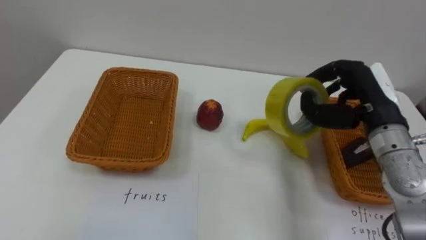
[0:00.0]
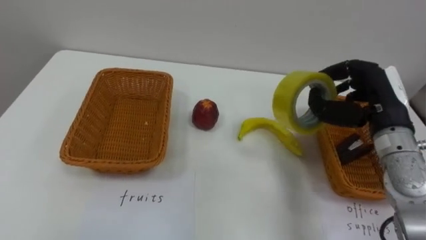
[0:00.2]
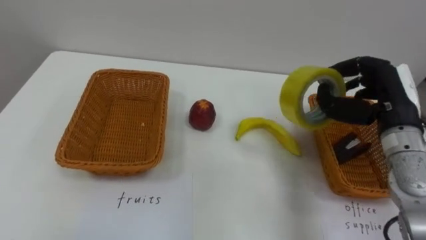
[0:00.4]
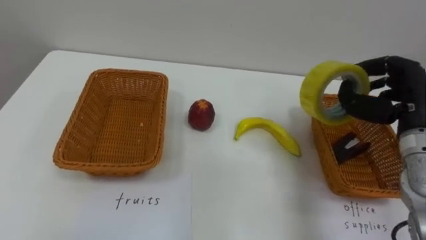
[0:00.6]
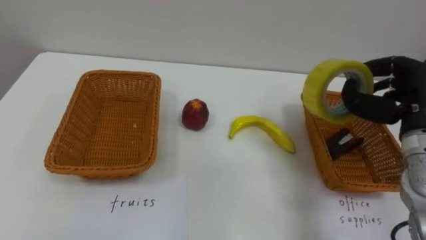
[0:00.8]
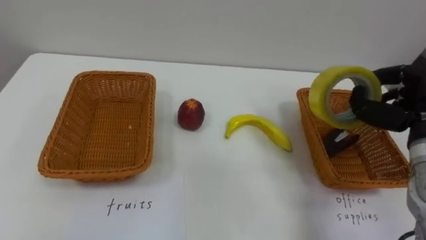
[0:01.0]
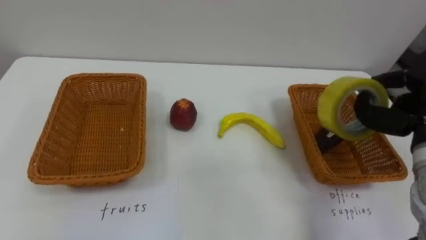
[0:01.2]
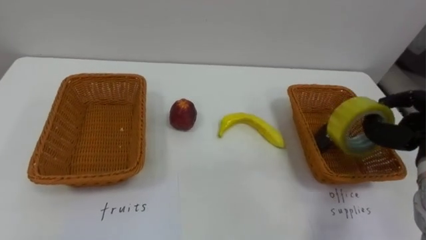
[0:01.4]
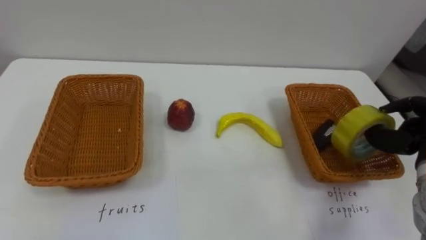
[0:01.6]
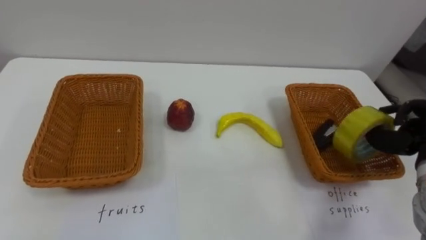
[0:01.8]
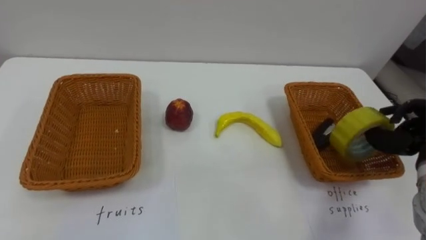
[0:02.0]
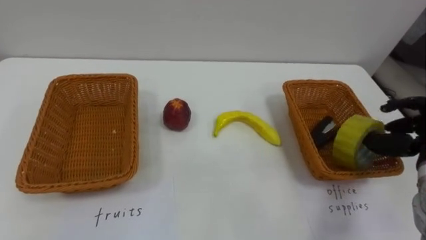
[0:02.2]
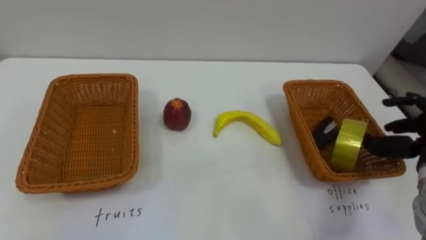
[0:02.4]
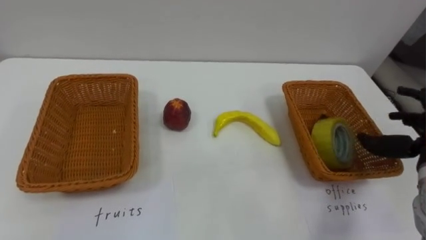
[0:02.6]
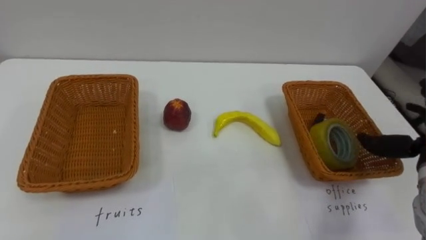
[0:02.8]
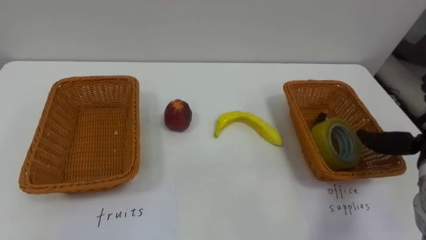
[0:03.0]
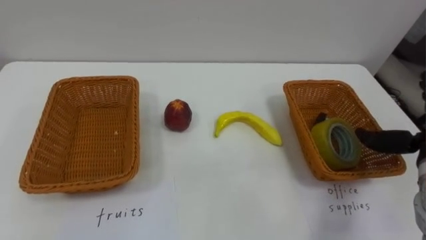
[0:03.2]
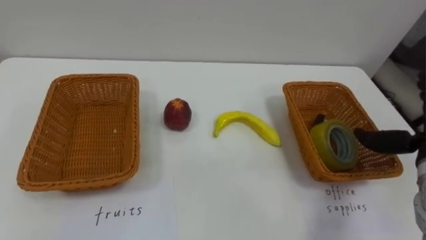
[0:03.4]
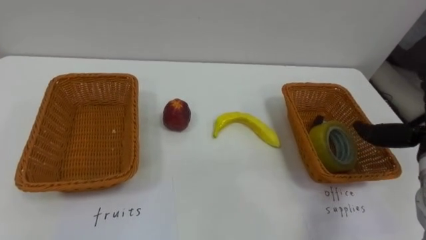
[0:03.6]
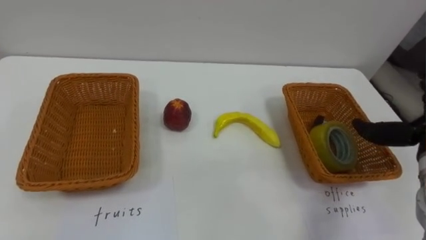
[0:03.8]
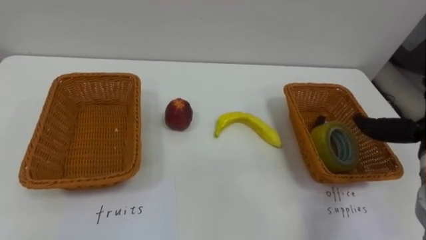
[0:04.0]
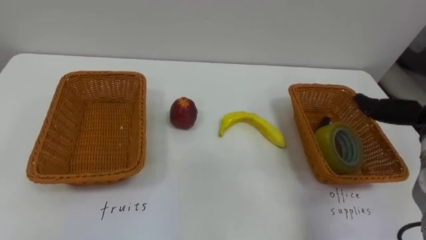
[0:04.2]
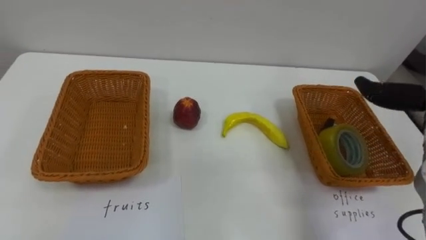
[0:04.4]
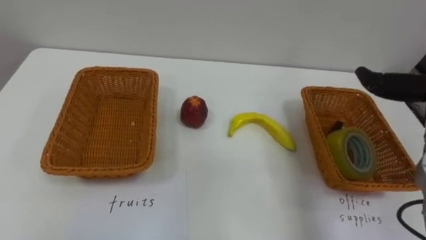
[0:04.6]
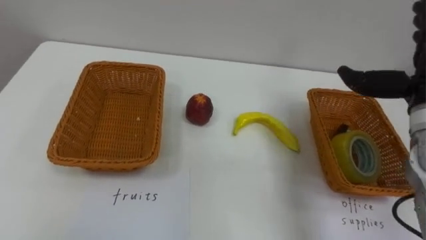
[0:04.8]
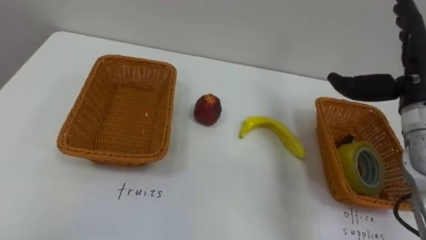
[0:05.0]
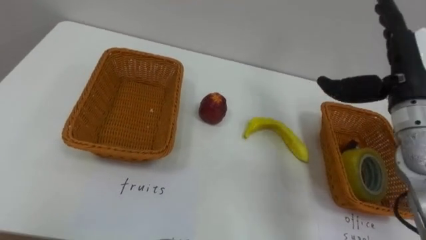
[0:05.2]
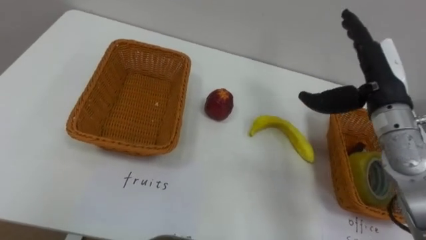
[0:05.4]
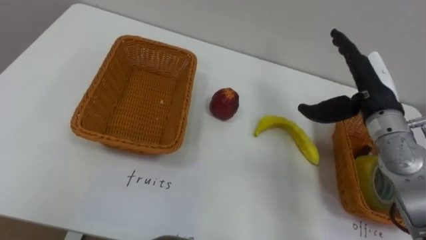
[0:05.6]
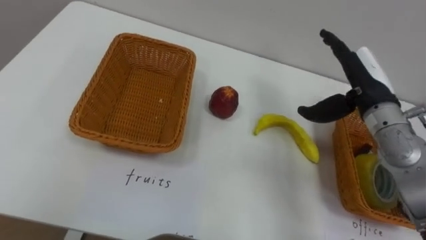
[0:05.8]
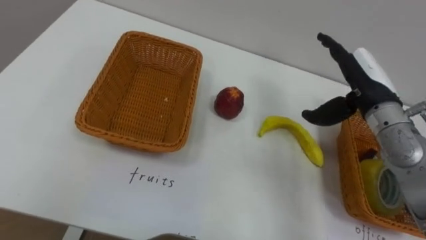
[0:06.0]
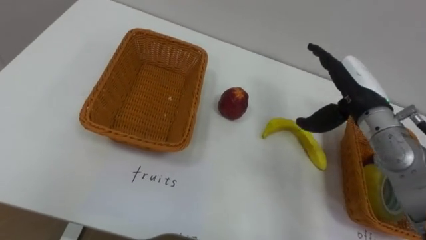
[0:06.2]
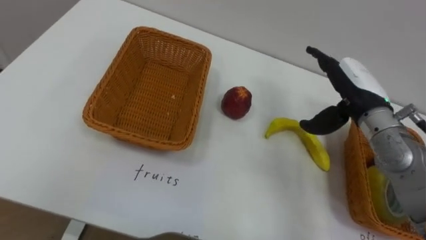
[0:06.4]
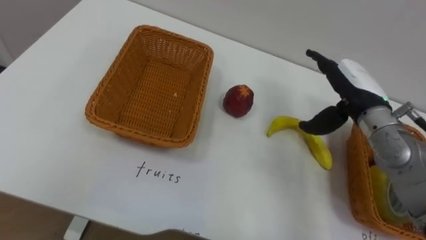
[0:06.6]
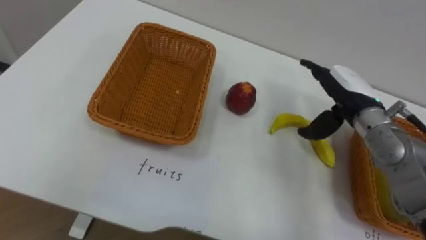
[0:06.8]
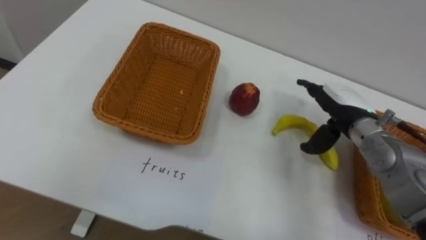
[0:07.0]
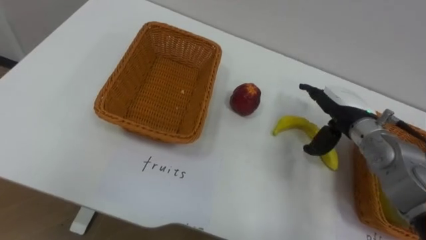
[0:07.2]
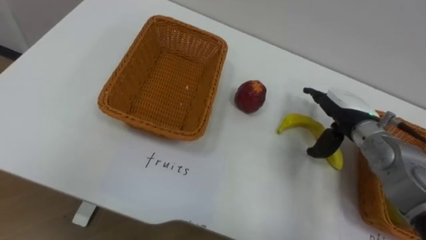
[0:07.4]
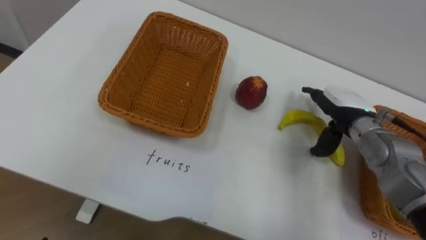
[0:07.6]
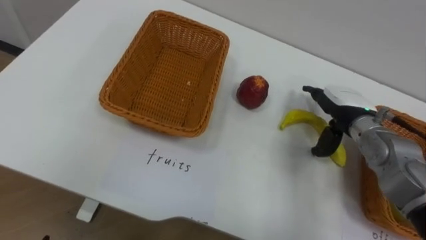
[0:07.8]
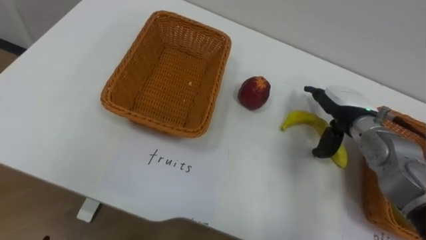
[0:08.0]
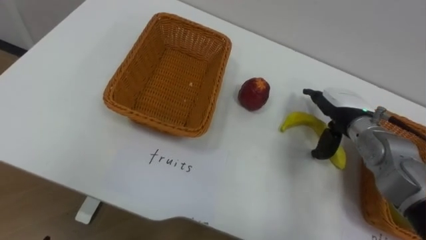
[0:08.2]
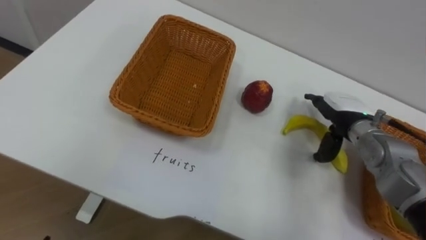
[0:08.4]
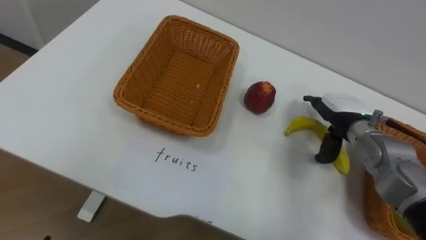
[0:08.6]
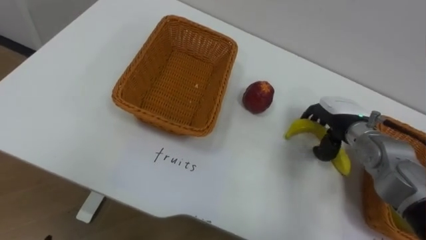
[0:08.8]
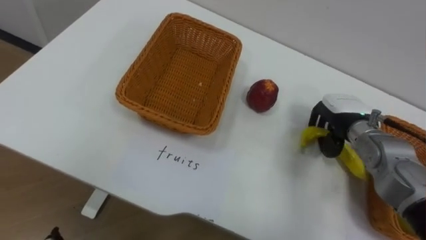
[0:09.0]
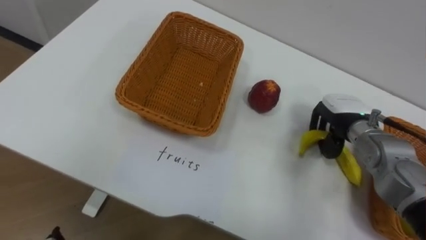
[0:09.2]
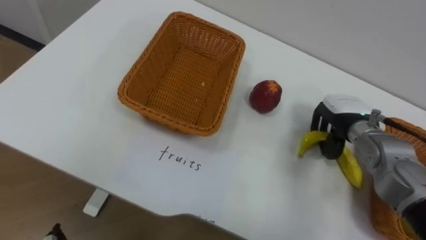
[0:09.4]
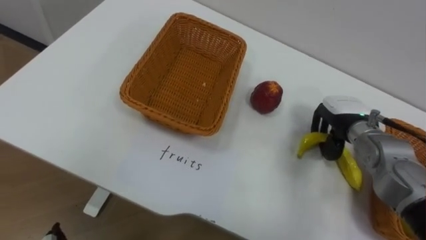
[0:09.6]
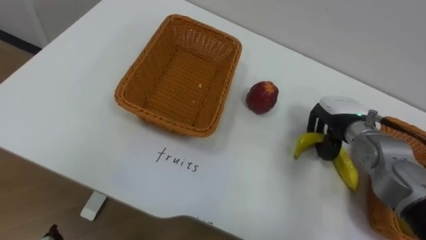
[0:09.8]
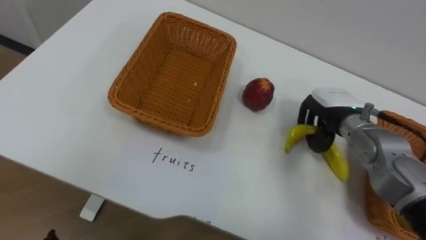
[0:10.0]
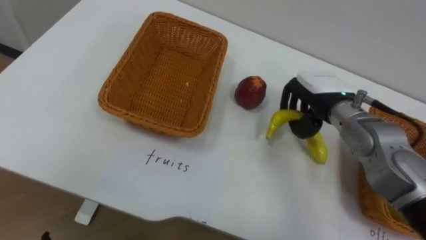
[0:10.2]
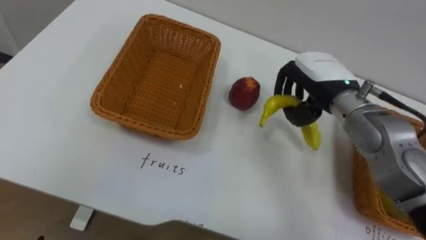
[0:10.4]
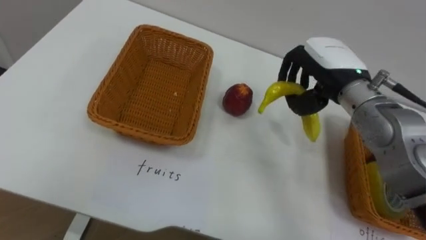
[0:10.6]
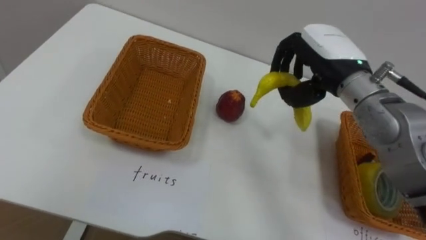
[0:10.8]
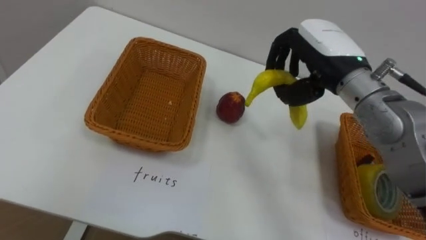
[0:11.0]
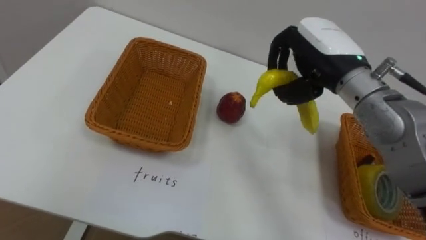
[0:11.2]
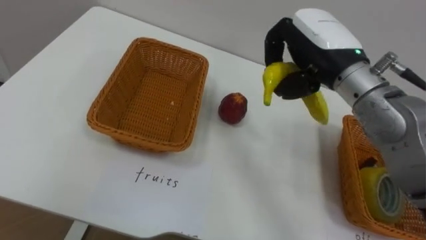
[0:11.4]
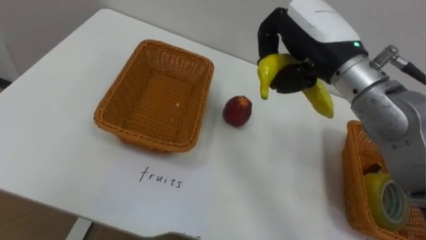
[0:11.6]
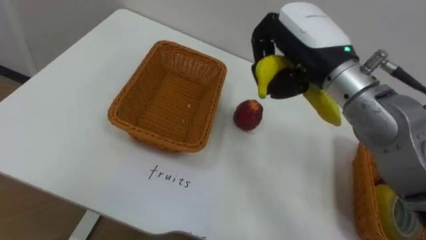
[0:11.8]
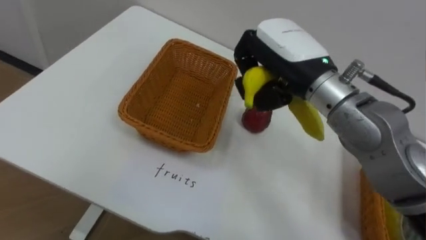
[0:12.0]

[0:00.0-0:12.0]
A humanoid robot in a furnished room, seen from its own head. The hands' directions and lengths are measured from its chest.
Task of the whole recording: Separate the items on the table and place them into the two baskets.
0:06.0 to 0:07.6: The right hand moves downward, about 10 cm.
0:07.6 to 0:09.0: The right hand closes up.
0:09.0 to 0:10.4: The right hand heads upward and to the left, covering roughly 10 cm.
0:10.4 to 0:12.0: The right hand moves upward and to the left, approximately 10 cm.

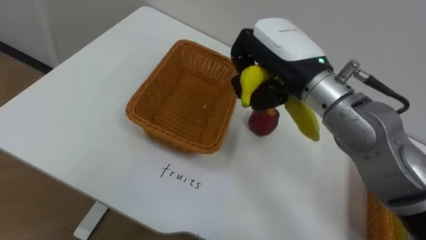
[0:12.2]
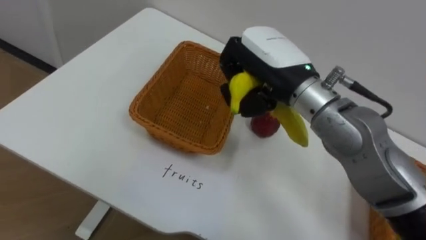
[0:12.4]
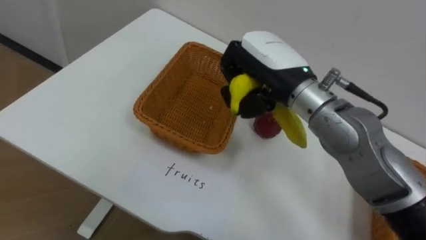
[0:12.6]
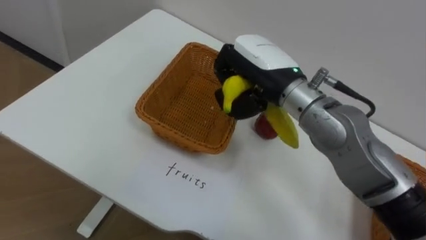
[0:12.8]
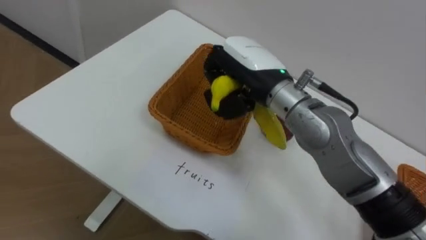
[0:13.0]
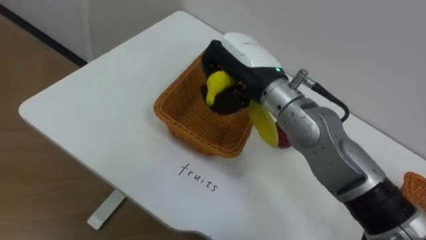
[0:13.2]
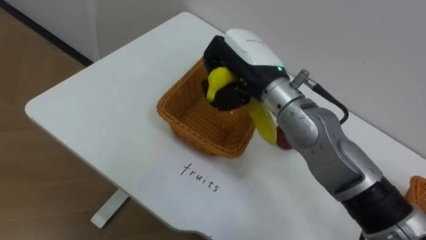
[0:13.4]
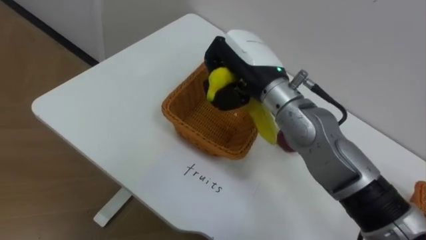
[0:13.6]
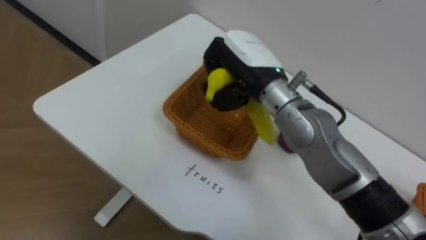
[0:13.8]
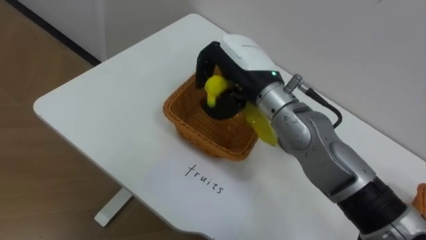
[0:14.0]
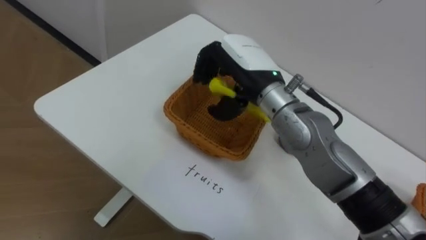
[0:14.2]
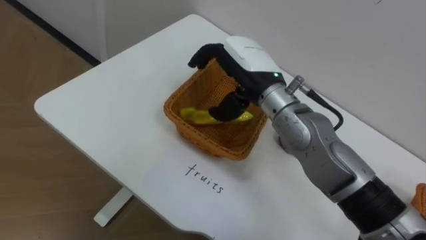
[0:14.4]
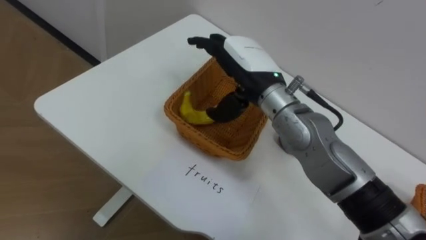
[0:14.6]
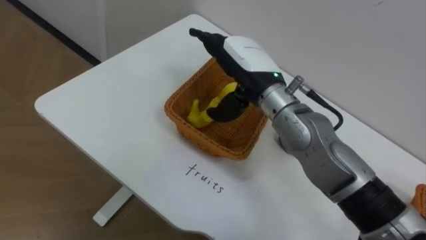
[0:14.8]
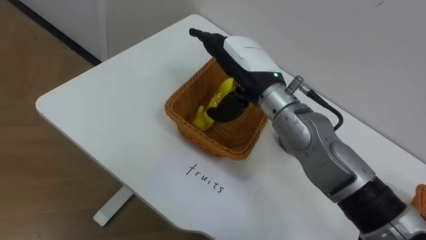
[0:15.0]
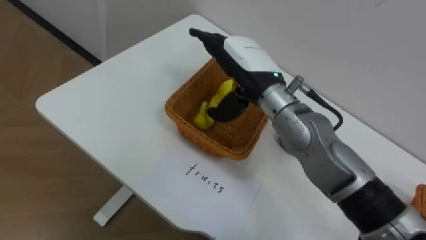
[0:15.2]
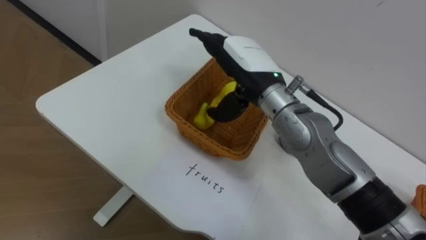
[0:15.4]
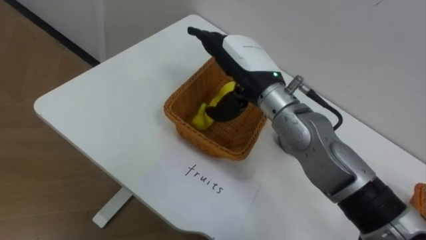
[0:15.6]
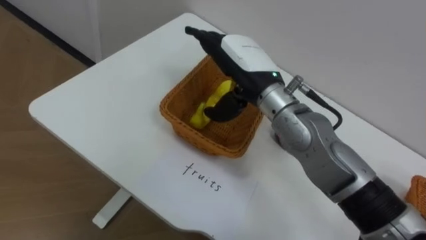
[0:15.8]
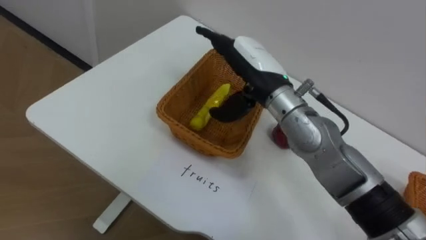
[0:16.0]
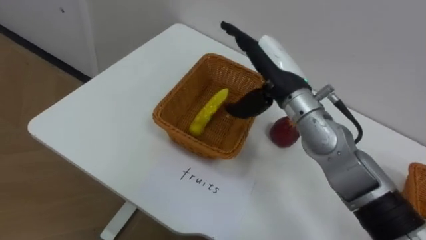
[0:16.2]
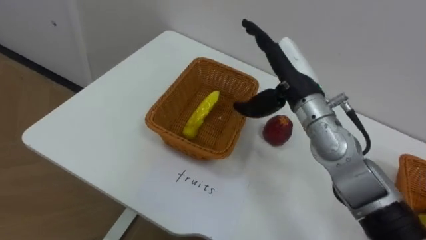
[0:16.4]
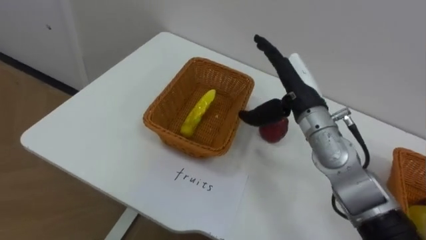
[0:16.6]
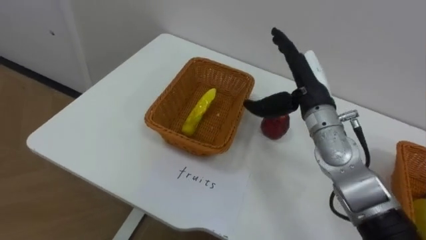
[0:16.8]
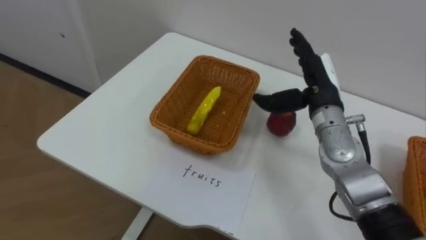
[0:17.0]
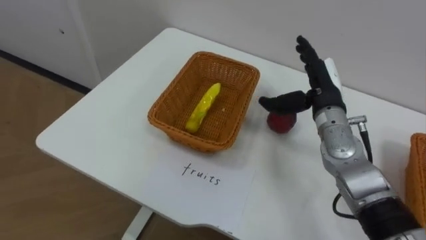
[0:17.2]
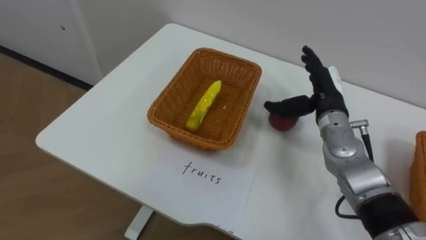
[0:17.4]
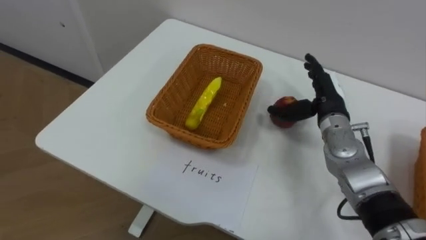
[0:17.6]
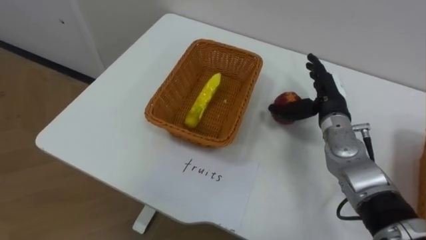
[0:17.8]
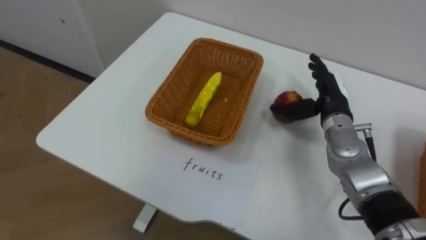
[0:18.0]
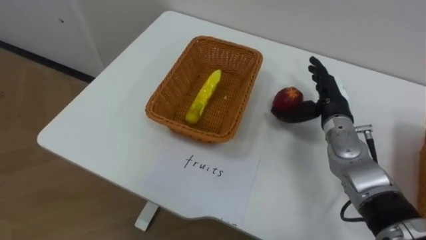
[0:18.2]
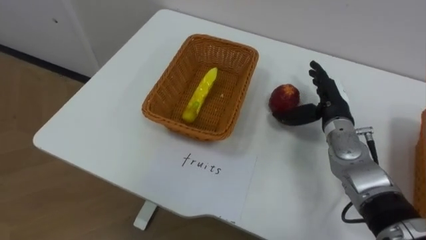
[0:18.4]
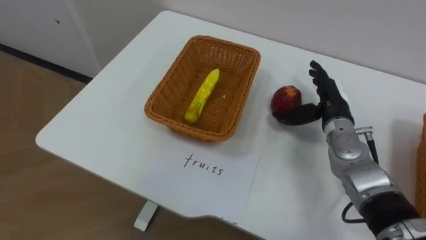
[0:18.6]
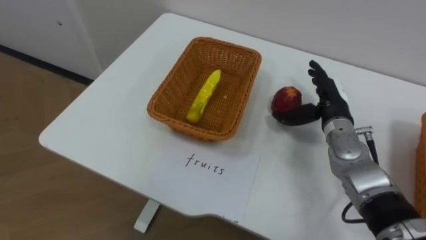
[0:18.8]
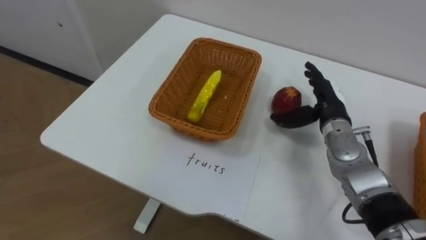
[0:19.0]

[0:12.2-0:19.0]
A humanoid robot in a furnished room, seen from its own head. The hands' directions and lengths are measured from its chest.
Task of the whole recording: Separate the items on the table and place them into the two baskets.
0:12.2 to 0:13.6: The right hand changes place by some 5 cm.
0:13.6 to 0:15.0: The right hand opens.
0:16.2 to 0:17.6: The right hand goes about 15 cm to the right and downward.
